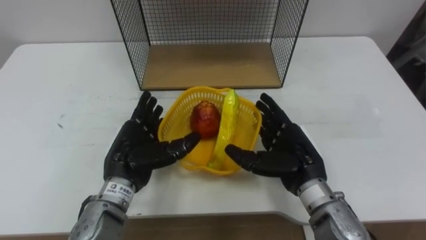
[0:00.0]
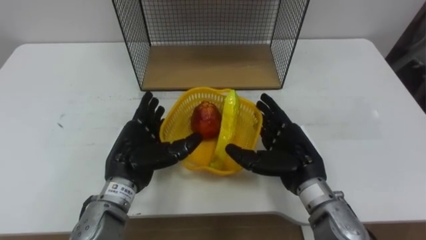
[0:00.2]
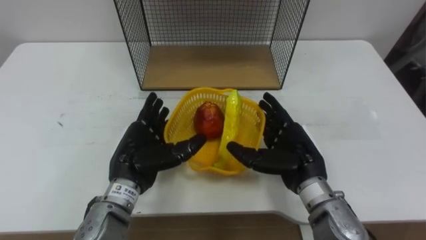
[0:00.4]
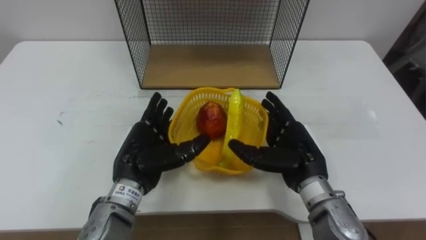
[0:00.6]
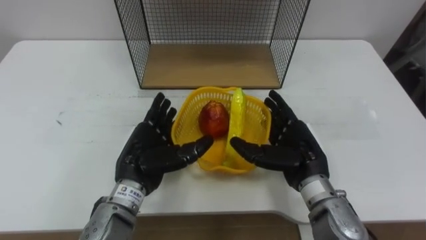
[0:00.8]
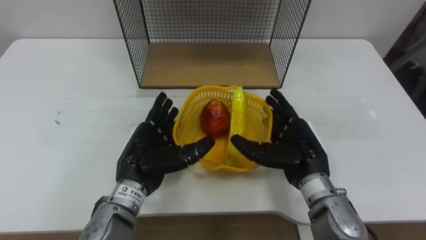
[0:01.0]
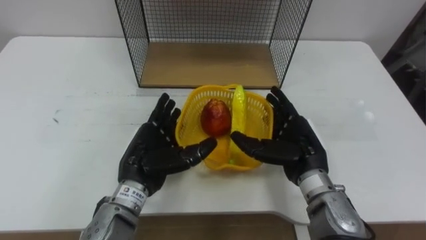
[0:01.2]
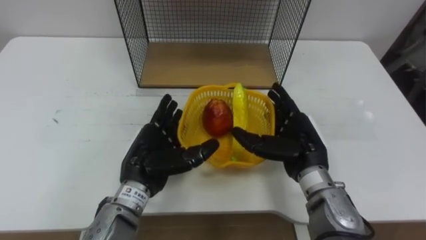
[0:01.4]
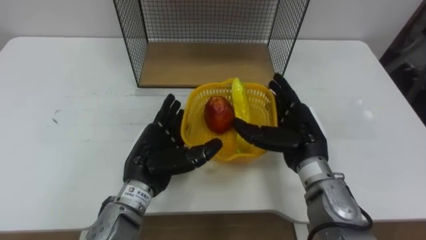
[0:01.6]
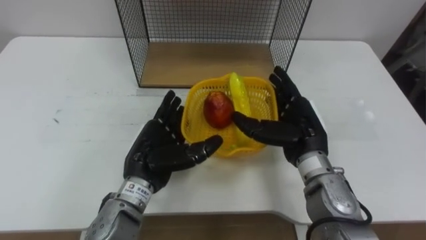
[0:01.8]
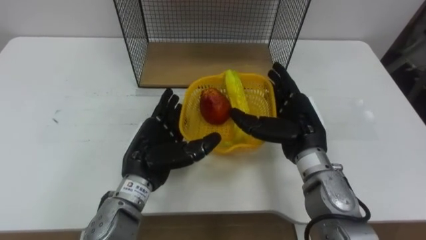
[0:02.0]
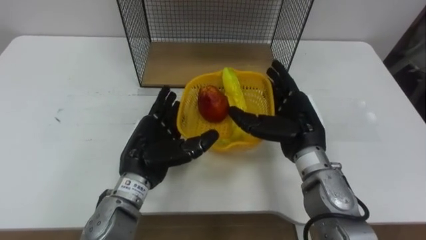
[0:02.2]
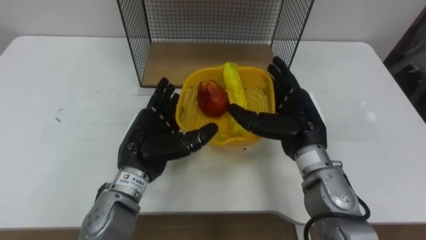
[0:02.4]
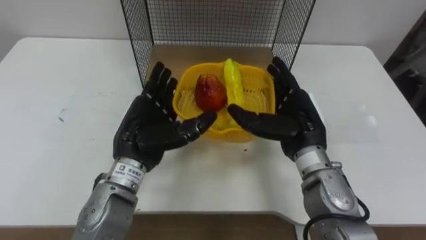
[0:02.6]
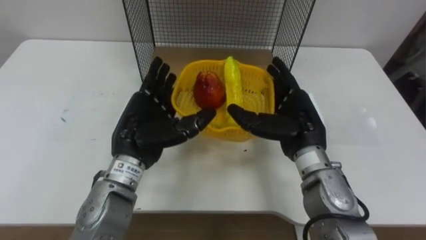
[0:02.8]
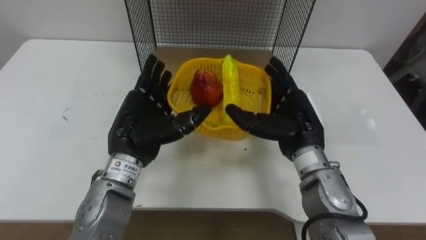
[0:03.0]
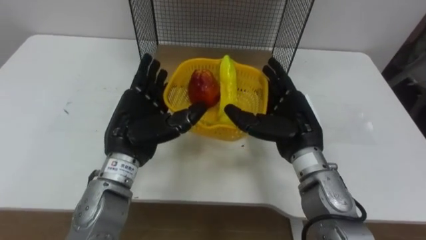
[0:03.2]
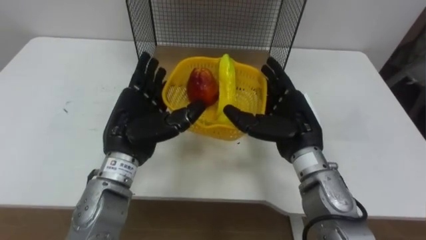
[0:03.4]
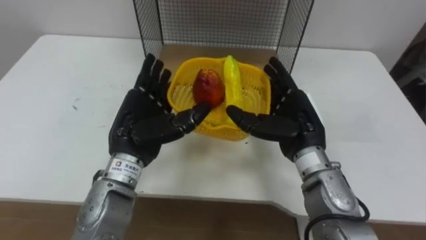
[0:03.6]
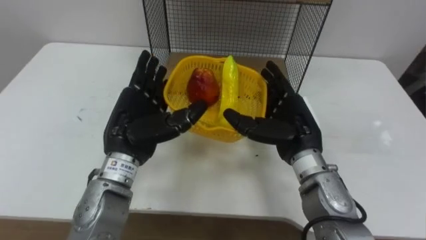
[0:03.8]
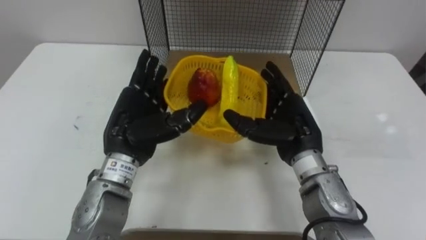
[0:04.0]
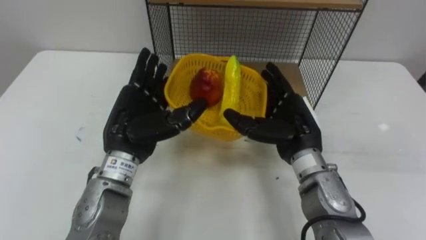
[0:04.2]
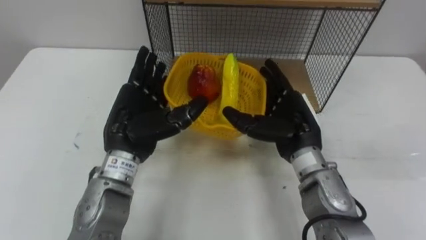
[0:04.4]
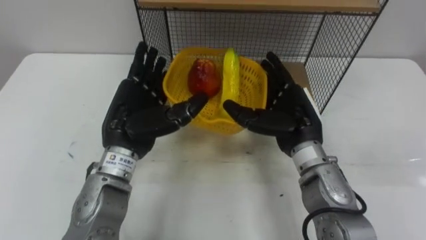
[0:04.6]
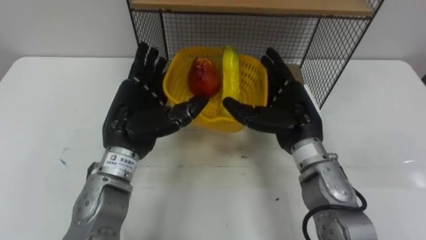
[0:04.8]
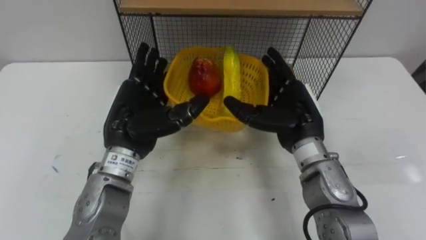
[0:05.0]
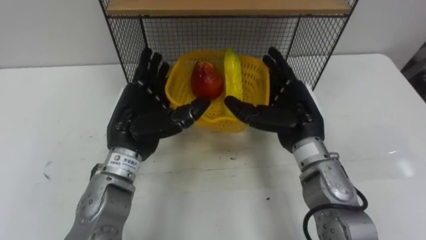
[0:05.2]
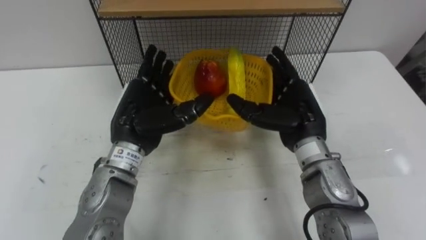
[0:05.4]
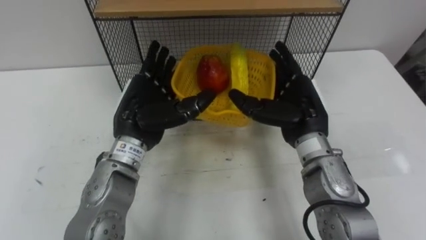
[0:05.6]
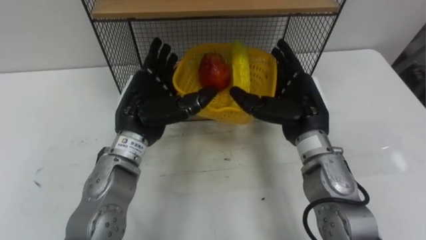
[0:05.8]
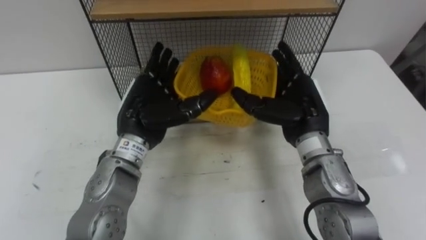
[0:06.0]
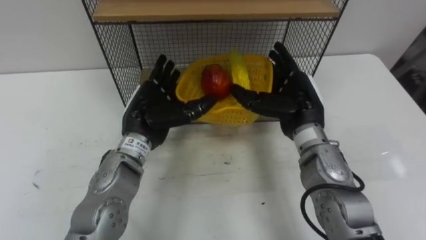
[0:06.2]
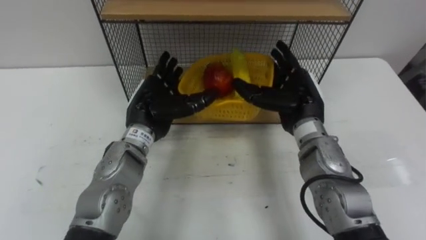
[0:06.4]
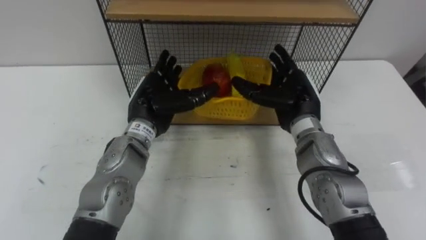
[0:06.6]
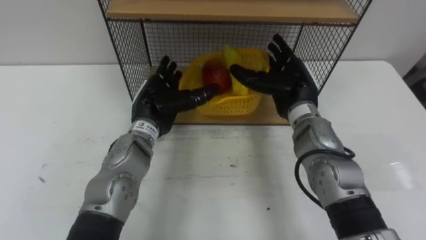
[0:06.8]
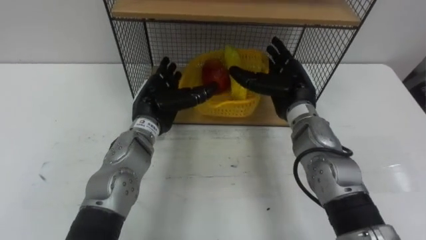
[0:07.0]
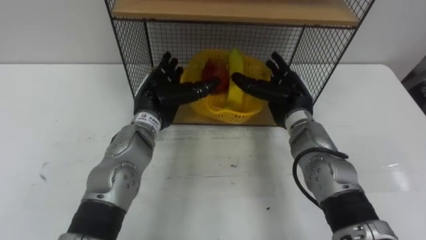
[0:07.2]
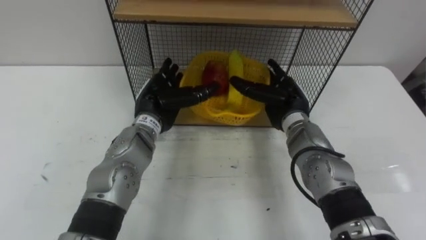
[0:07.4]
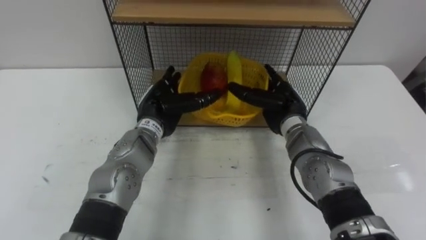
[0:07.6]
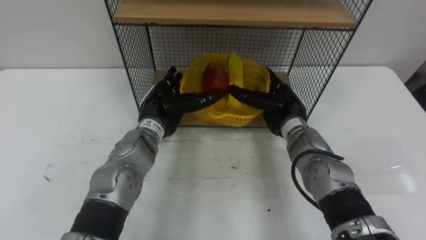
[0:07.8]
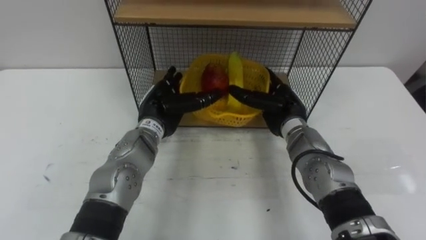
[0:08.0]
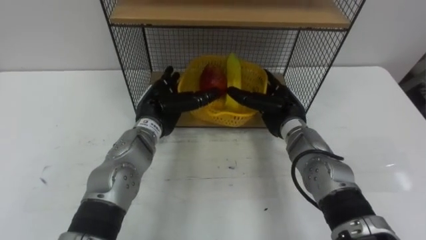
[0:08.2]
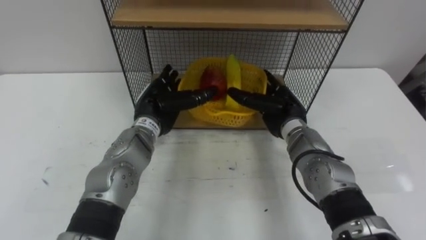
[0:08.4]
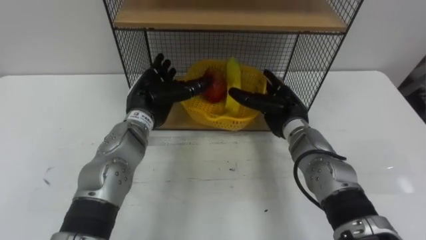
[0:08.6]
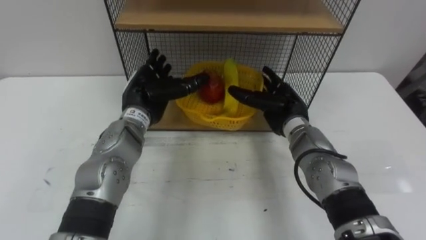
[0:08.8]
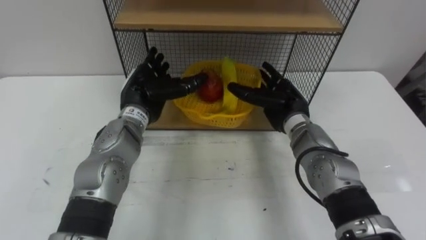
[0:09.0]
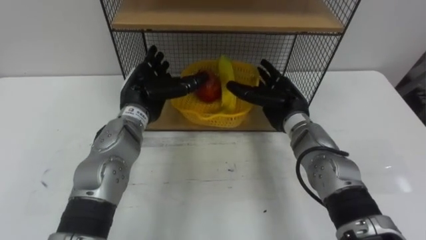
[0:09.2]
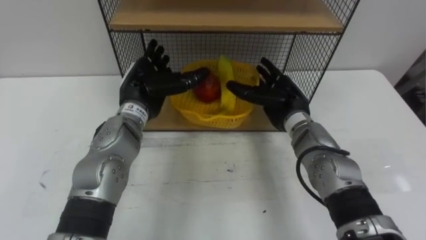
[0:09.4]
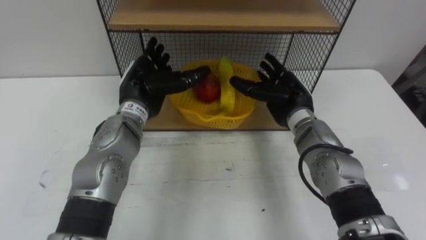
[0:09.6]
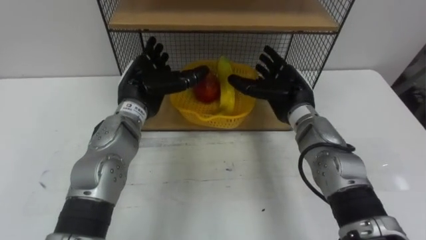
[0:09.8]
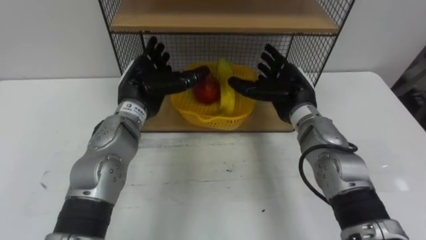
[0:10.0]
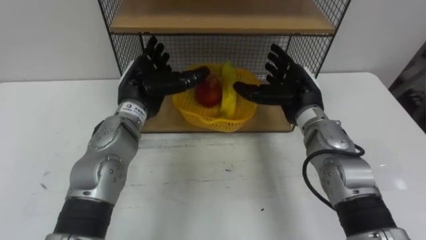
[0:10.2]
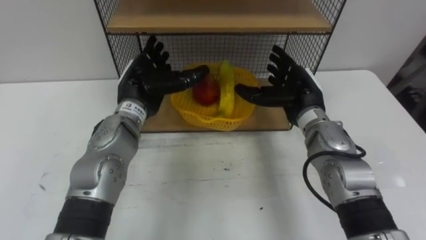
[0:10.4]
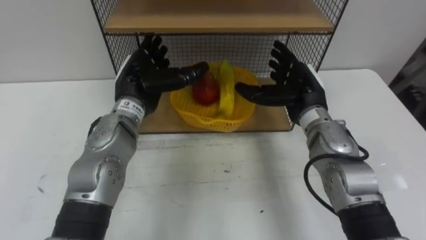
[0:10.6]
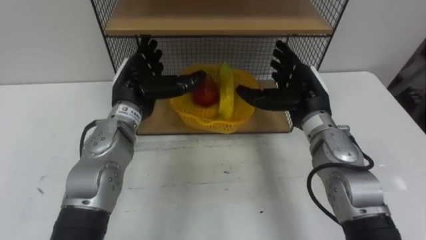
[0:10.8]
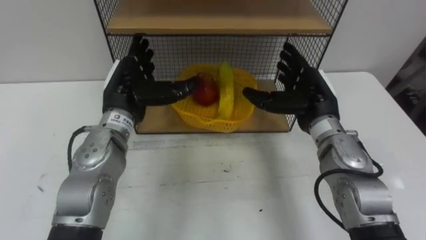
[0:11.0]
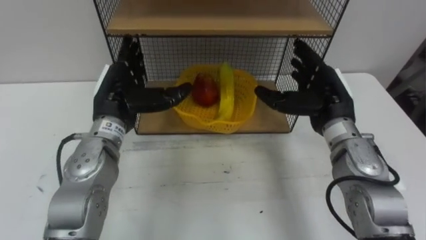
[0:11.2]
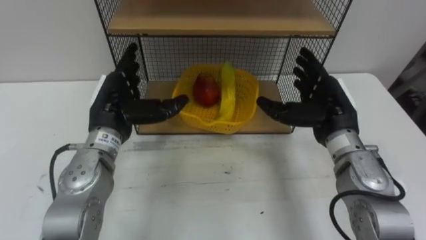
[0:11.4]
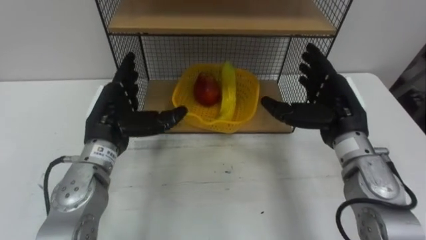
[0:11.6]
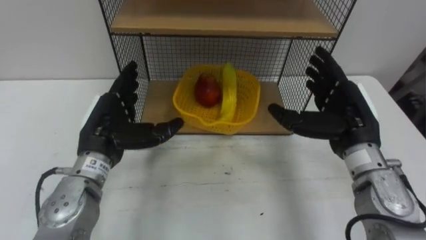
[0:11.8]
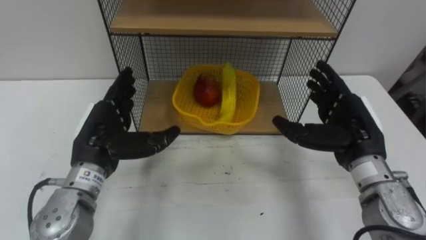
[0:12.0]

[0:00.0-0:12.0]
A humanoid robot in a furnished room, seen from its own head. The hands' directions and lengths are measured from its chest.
Task of the whole recording: Put the fruit on the table into the basket, then place the basket on the shelf.
0:01.6 to 0:03.0: The left hand travels upward by roughly 5 cm.
0:06.0 to 0:07.6: Both hands travel together downward and forward, approximately 10 cm.
0:09.0 to 0:10.4: The hands move only a little.
0:10.4 to 0:12.0: The right hand heads backward and to the right, covering roughly 10 cm, while the left hand moves backward and to the left, roughly 10 cm.
